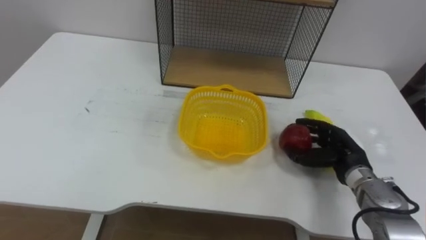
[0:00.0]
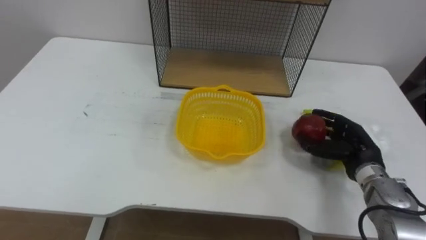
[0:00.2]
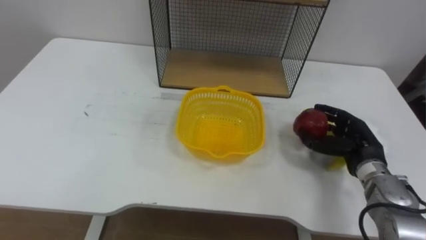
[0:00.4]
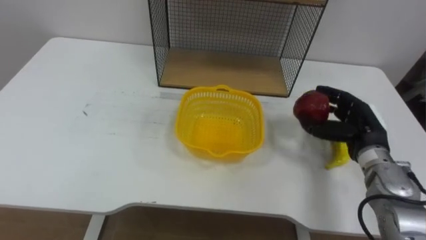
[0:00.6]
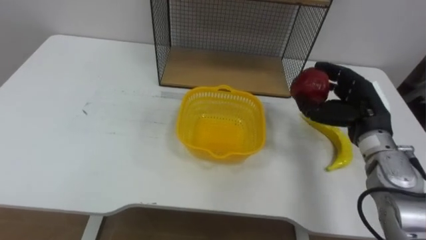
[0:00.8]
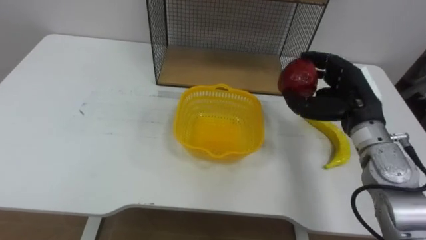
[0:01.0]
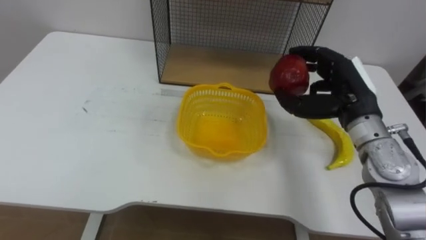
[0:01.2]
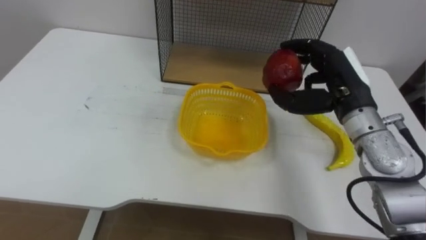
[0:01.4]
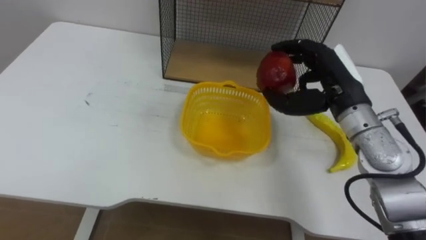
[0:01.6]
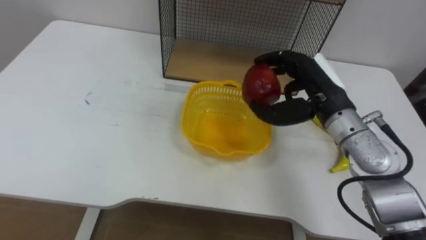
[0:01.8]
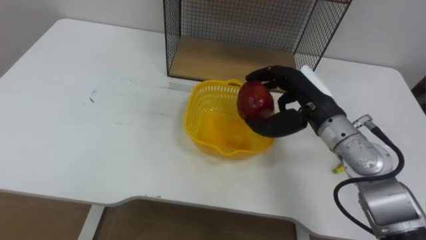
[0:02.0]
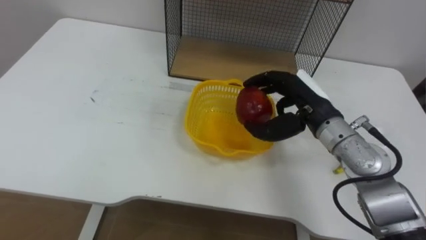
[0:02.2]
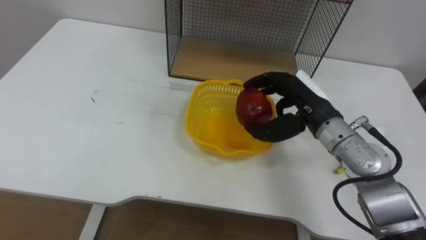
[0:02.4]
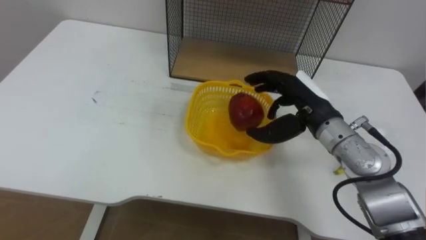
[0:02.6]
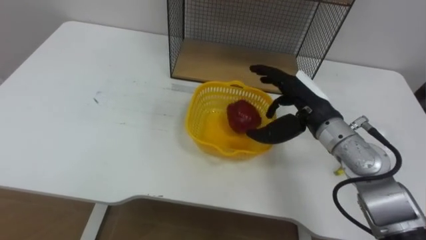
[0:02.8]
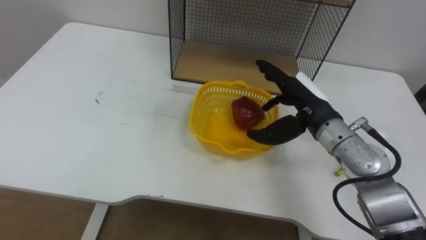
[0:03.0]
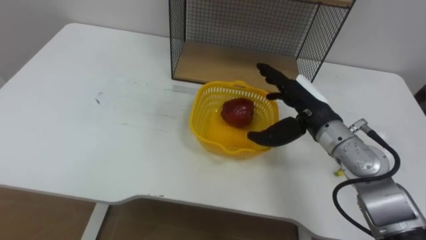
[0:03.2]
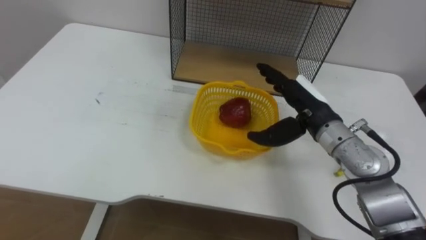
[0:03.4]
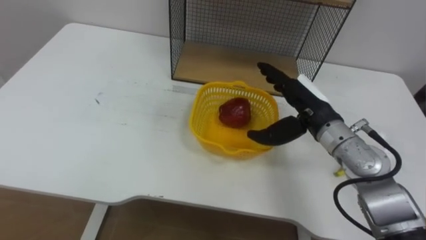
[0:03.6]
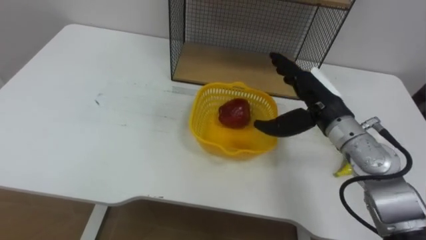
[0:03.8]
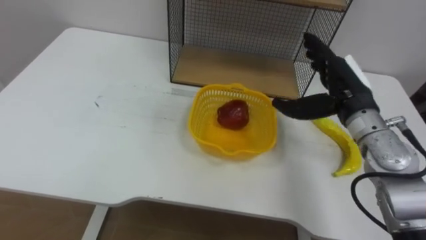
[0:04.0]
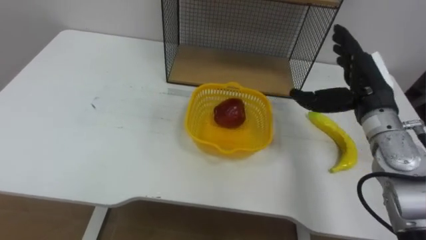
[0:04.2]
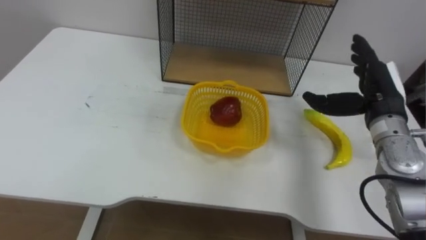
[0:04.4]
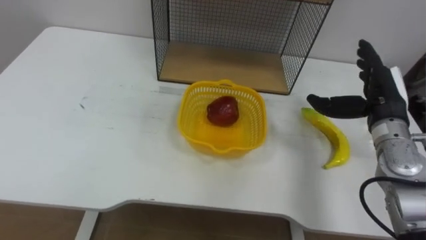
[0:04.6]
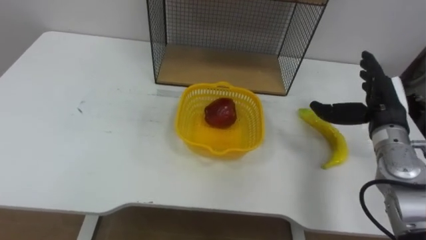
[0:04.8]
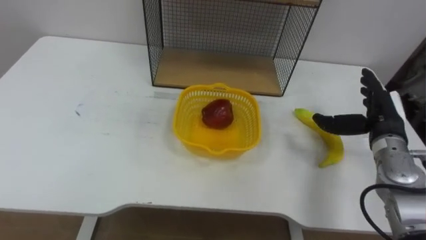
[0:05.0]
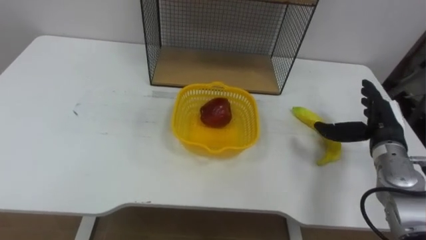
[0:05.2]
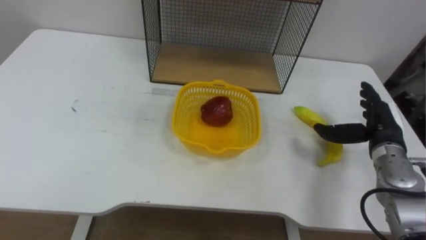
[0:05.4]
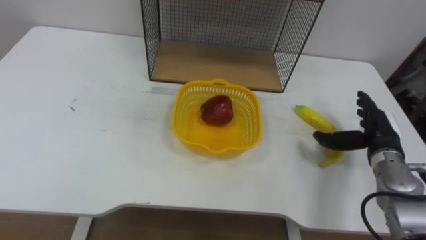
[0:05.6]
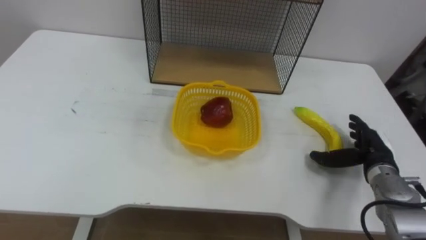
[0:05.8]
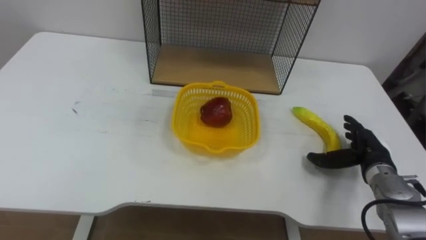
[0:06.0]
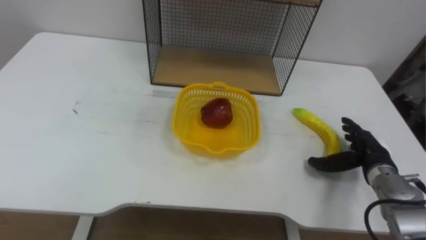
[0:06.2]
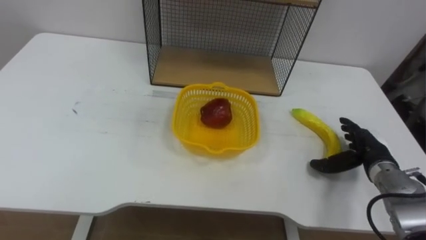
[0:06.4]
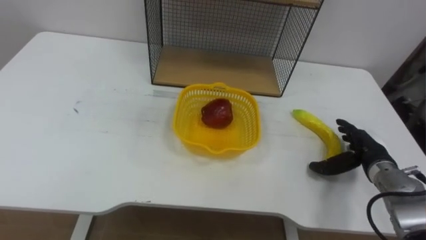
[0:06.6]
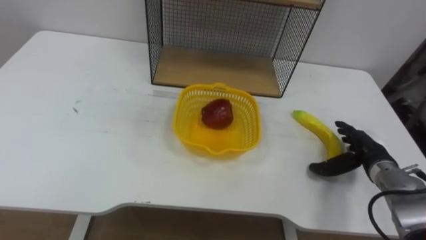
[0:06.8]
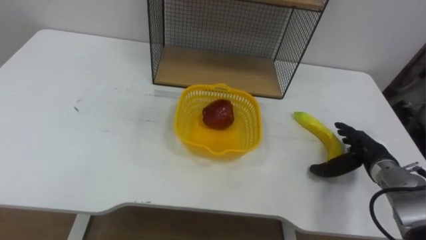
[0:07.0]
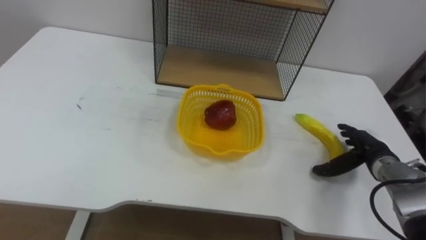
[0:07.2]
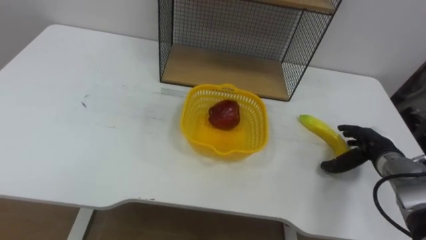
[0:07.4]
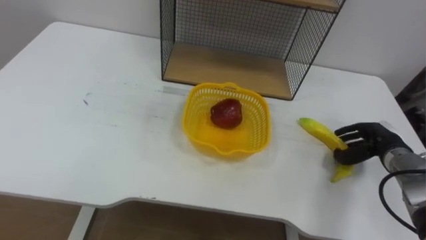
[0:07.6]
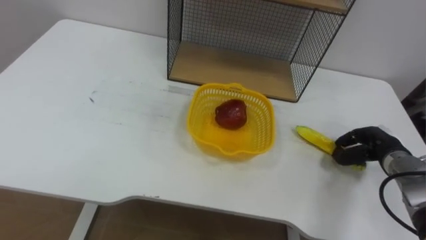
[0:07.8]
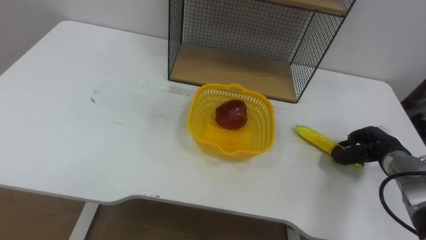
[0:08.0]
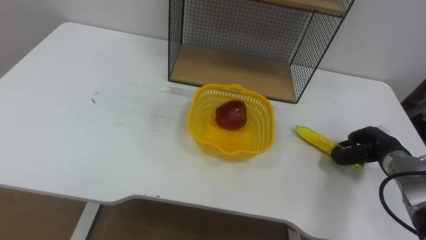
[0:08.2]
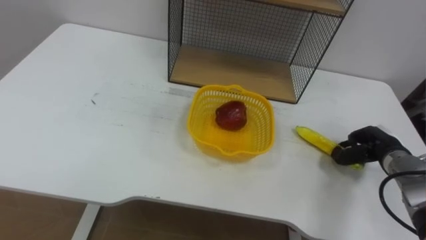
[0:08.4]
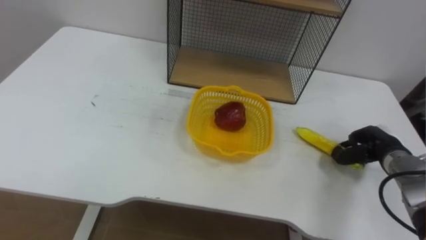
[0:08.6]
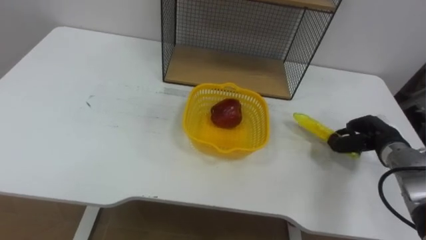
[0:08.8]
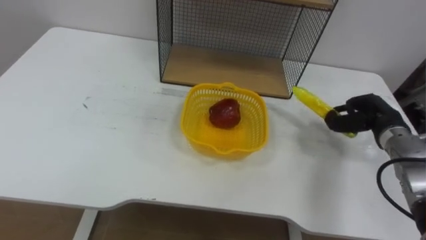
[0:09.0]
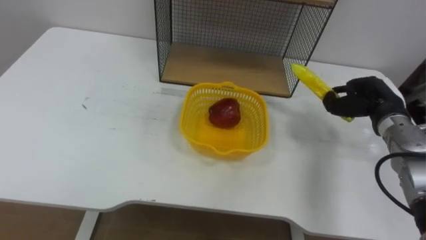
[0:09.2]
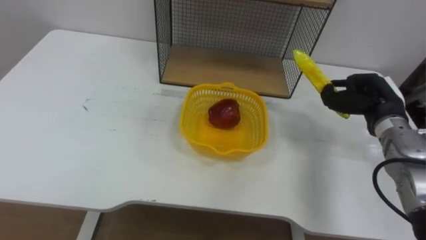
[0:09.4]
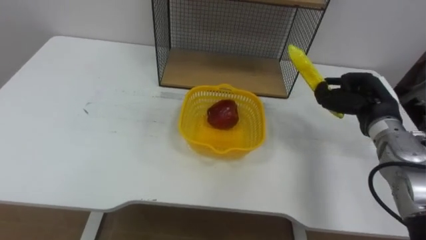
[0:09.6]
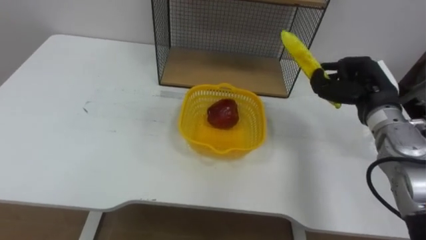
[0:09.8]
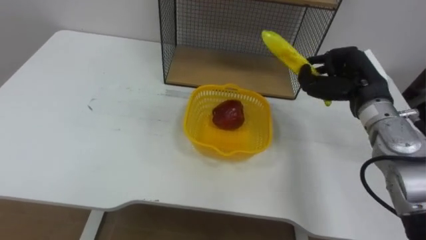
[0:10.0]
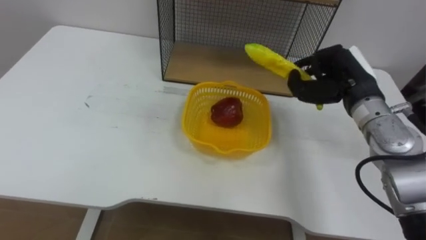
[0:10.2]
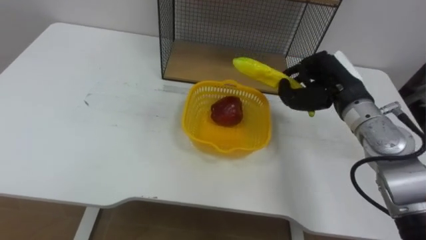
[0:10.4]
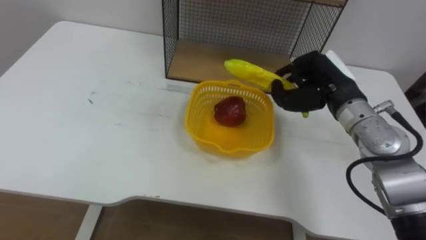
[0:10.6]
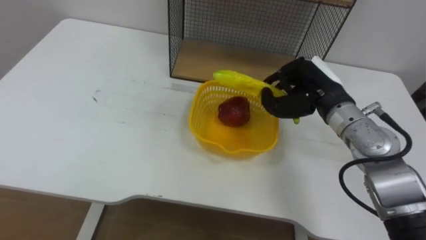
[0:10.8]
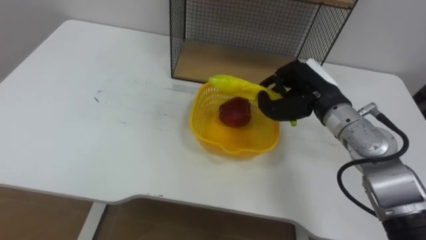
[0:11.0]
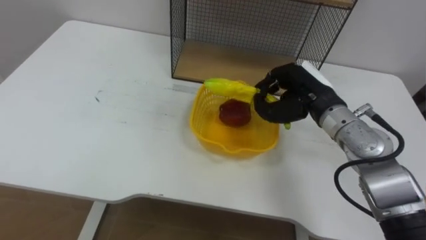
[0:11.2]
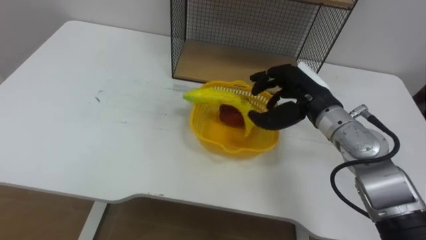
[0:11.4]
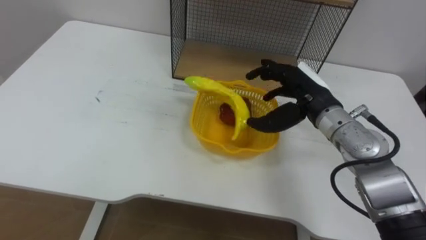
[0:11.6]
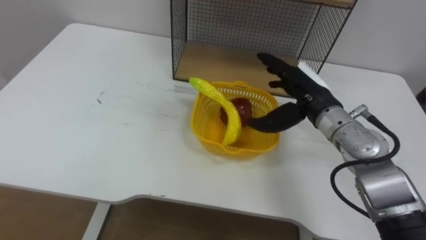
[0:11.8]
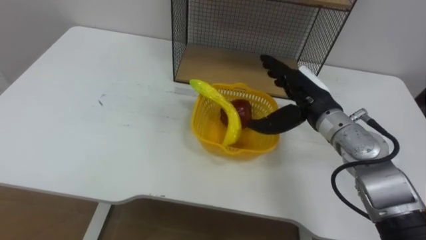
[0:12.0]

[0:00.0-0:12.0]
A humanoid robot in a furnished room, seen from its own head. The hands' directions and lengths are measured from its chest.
Task of the whole recording: Put the fruit on the table into the basket, then place the basket on the shelf.
0:00.0 to 0:01.6: The right hand travels upward by about 15 cm.
0:01.6 to 0:03.0: The right hand changes place by approximately 5 cm, and opens up.
0:03.0 to 0:04.4: The right hand shifts about 10 cm to the right.
0:04.4 to 0:06.0: The right hand travels downward by roughly 15 cm.
0:06.0 to 0:07.6: The right hand closes.
0:07.6 to 0:09.0: The right hand shifts by some 5 cm, and closes.
0:09.0 to 0:10.4: The right hand heads to the left and upward, covering roughly 15 cm.
0:10.4 to 0:12.0: The right hand goes roughly 5 cm to the left, and opens its fingers.

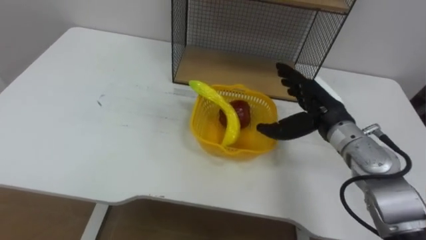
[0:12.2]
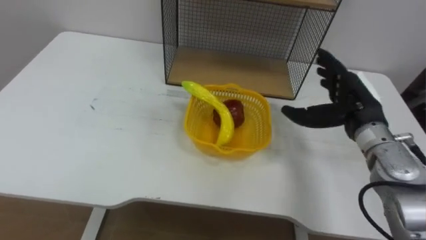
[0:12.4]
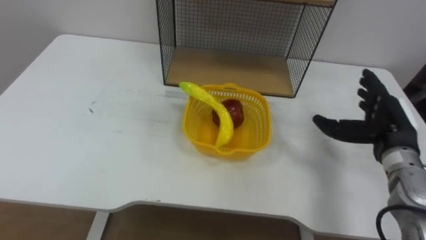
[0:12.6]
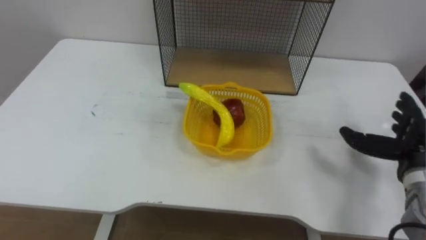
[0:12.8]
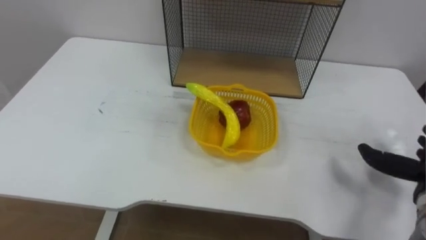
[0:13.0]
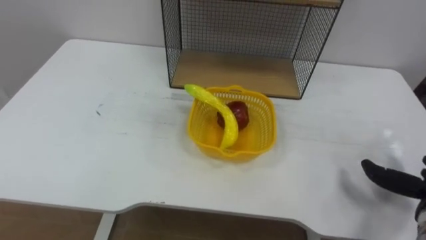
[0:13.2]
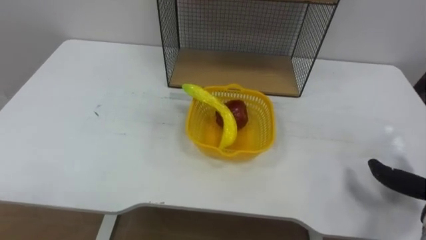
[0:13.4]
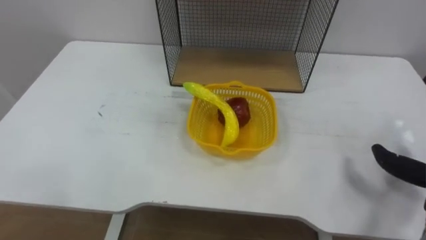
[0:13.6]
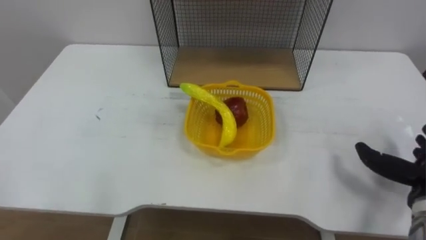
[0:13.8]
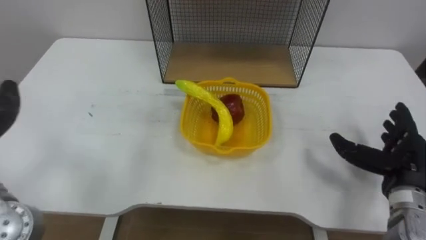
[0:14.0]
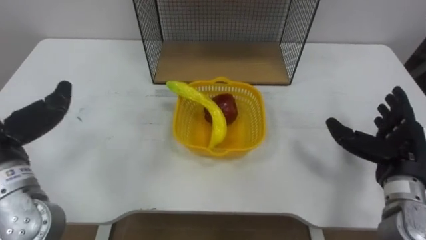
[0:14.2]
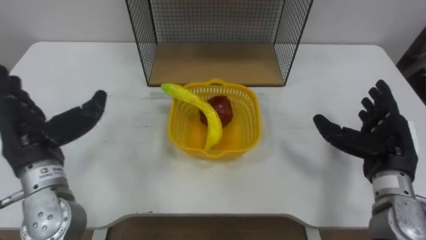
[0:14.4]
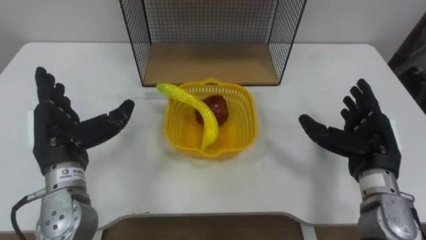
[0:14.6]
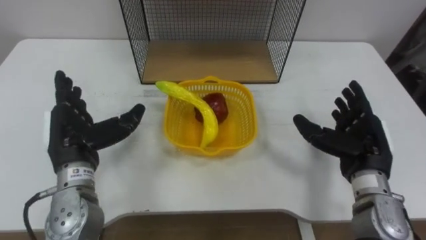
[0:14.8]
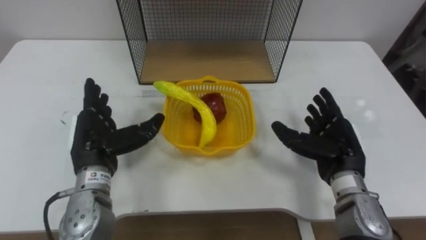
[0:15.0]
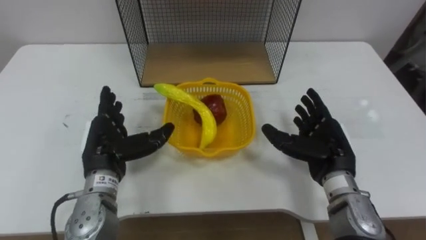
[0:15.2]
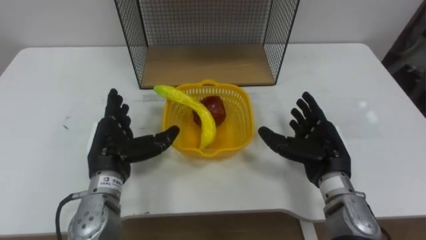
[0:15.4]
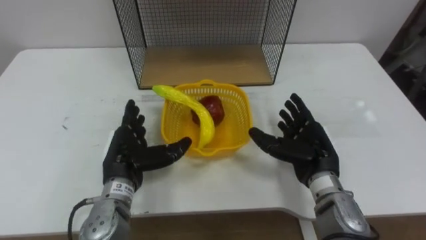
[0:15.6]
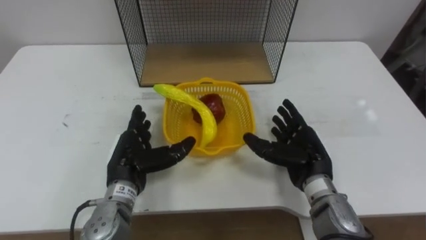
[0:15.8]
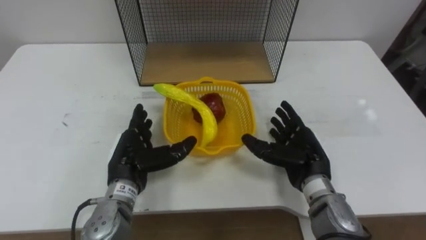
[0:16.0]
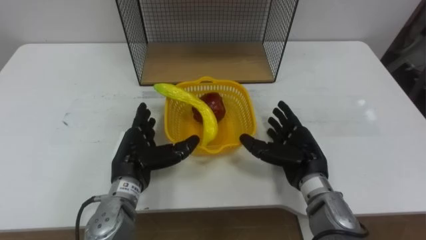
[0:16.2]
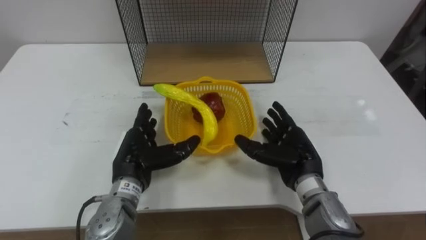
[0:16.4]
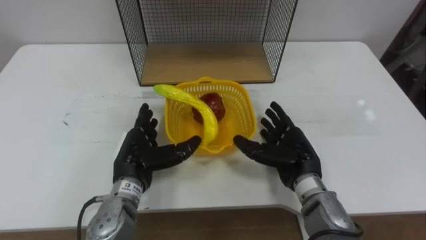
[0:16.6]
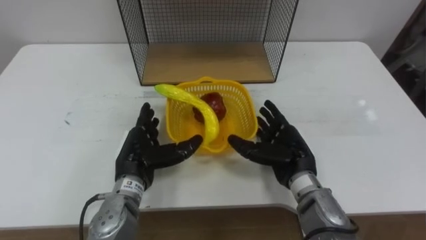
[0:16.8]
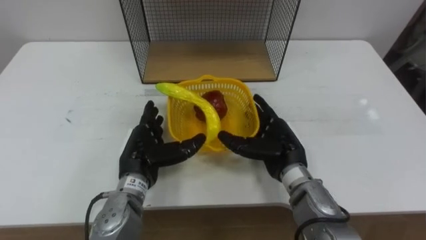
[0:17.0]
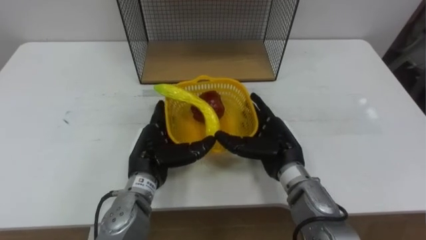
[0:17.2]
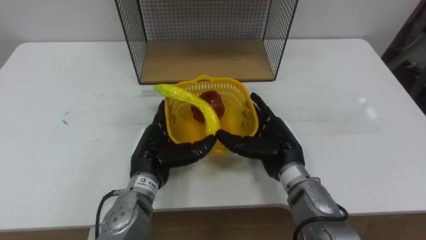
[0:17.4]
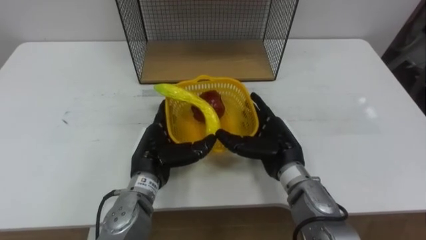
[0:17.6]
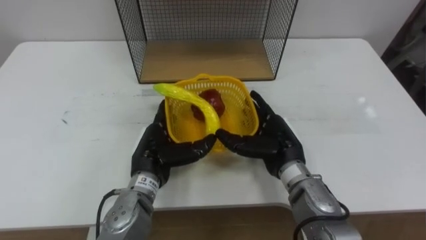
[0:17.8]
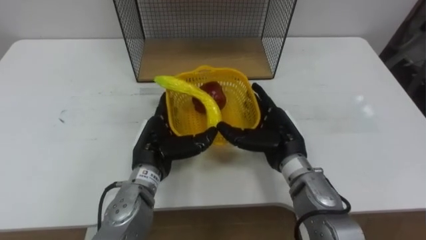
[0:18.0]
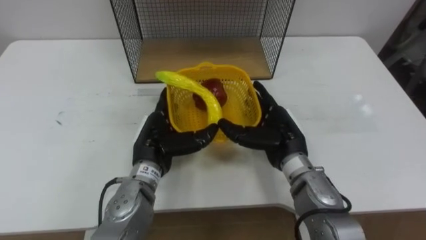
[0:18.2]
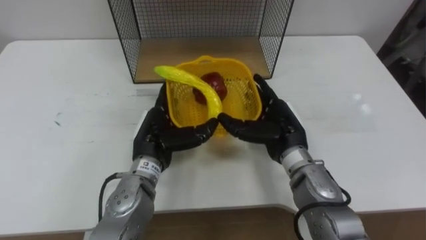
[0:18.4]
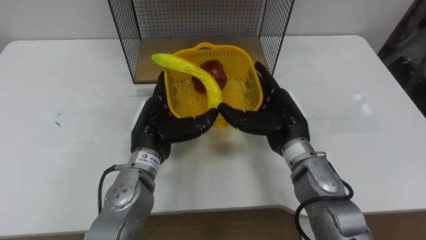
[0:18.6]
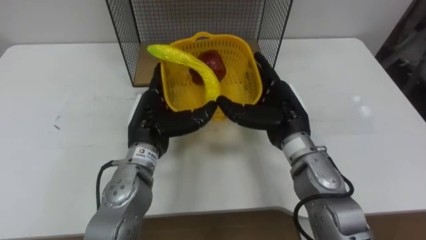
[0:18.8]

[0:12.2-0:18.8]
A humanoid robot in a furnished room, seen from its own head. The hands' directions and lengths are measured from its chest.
Task of the whole recording: Put the fruit on the table into the basket, then place the basket on the shelf.
0:15.4 to 0:17.2: The left hand shifts approximately 5 cm to the right, while the right hand shifts about 10 cm to the left.
0:17.2 to 0:18.8: Both hands travel together upward, approximately 5 cm.
